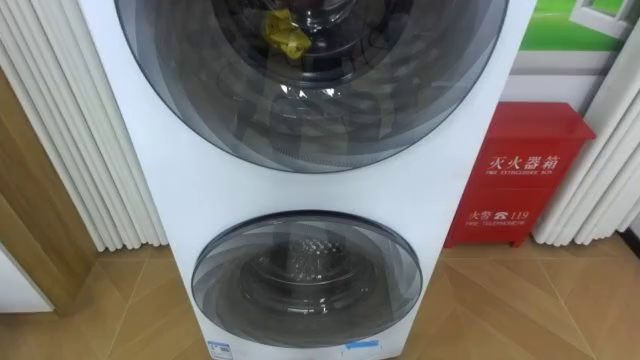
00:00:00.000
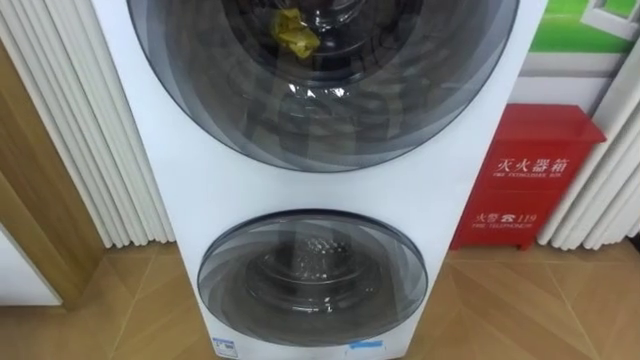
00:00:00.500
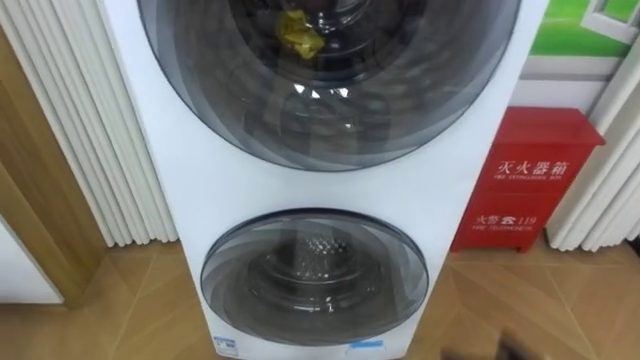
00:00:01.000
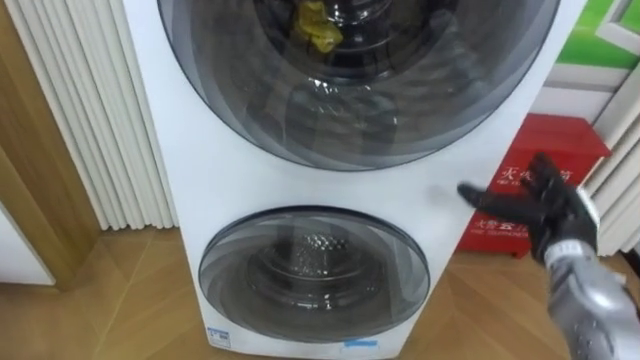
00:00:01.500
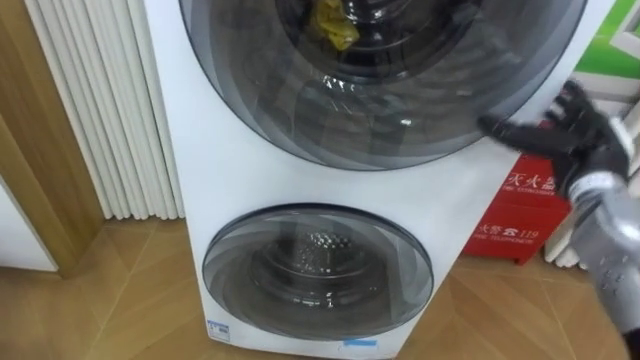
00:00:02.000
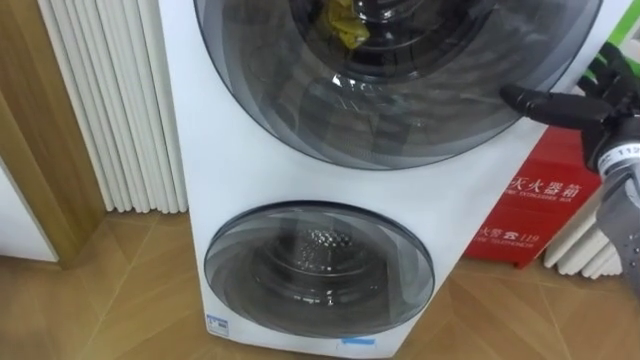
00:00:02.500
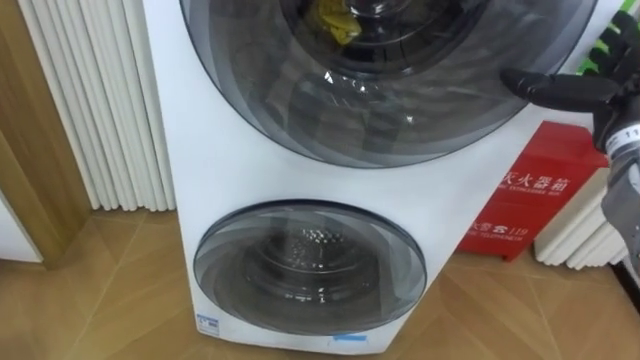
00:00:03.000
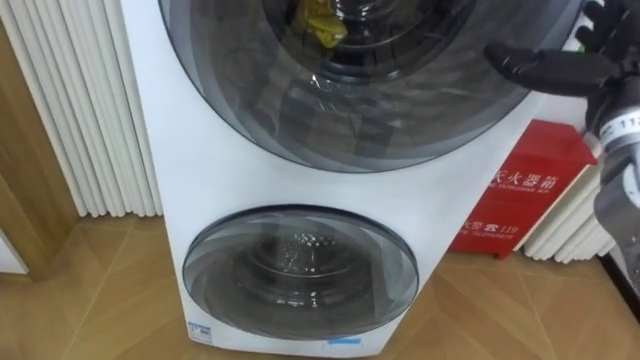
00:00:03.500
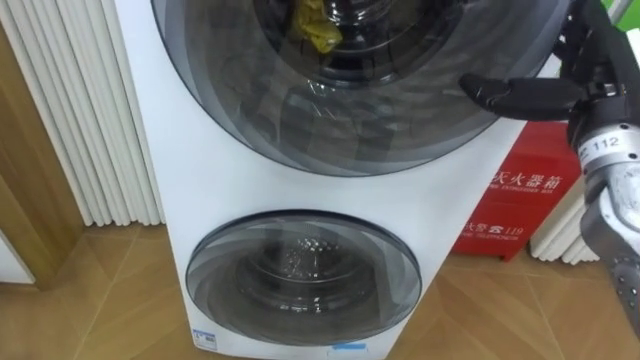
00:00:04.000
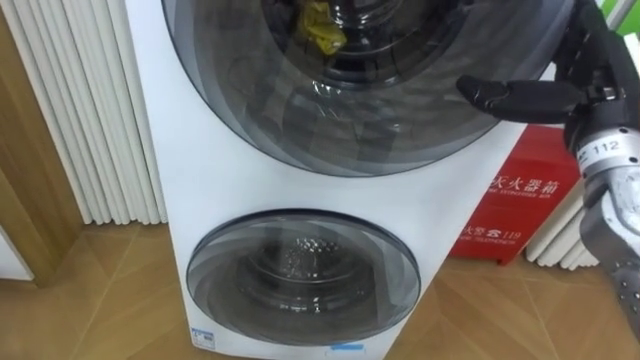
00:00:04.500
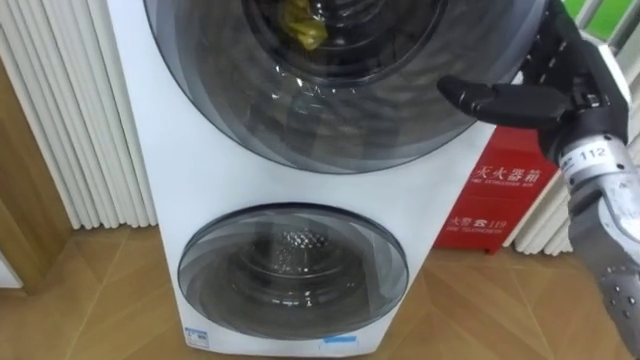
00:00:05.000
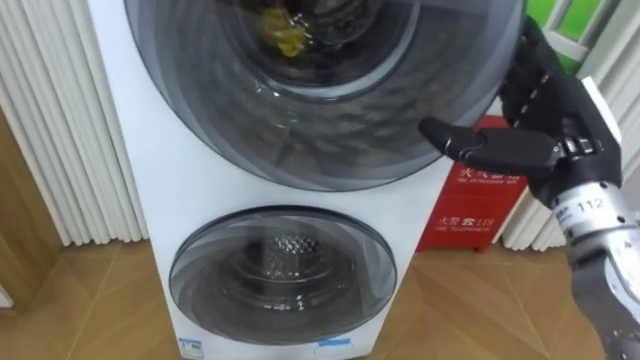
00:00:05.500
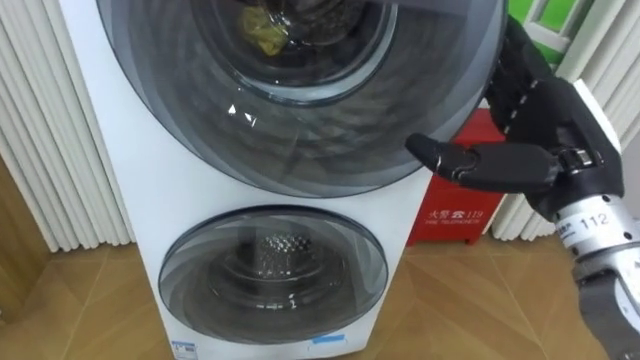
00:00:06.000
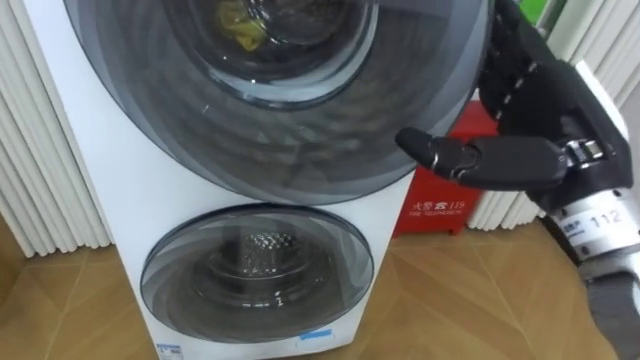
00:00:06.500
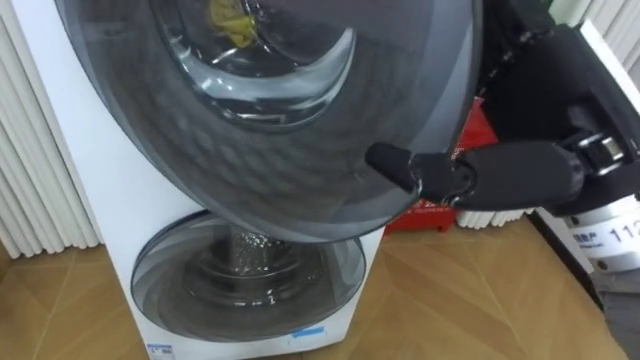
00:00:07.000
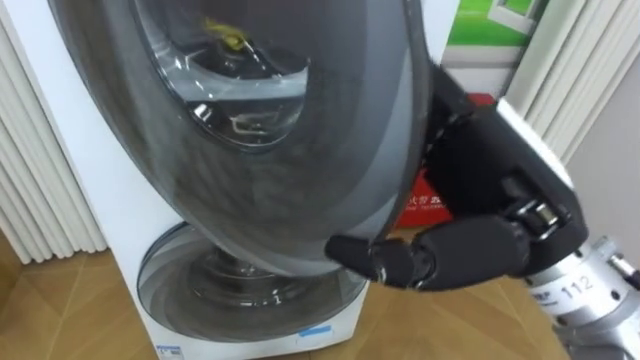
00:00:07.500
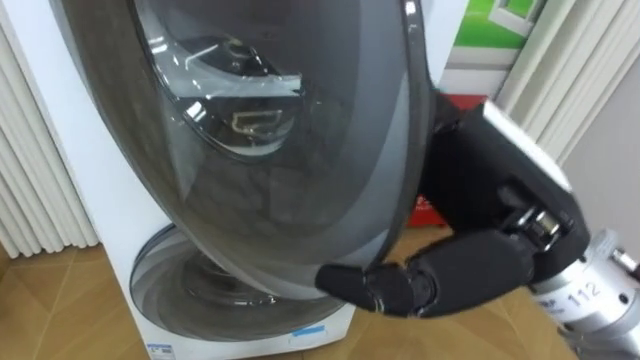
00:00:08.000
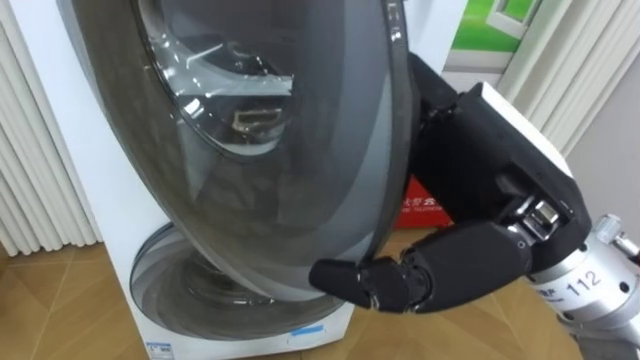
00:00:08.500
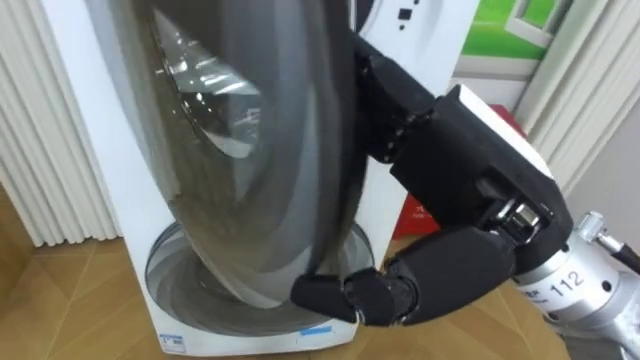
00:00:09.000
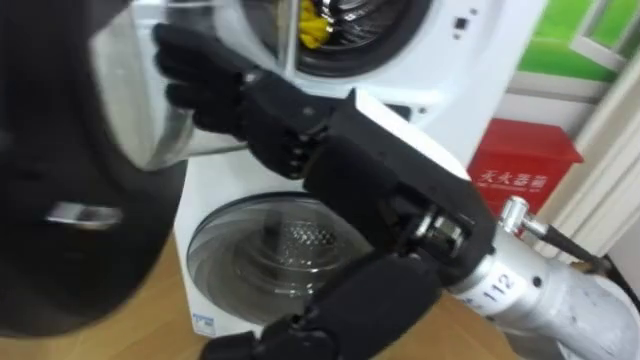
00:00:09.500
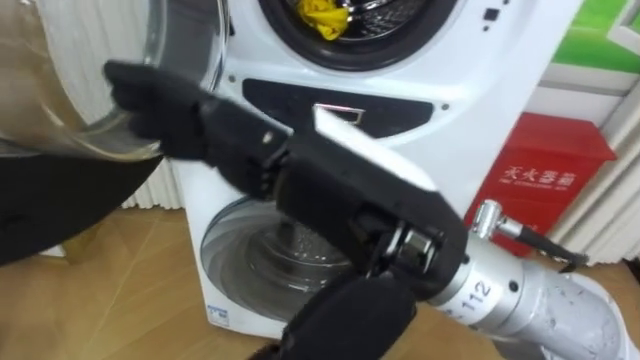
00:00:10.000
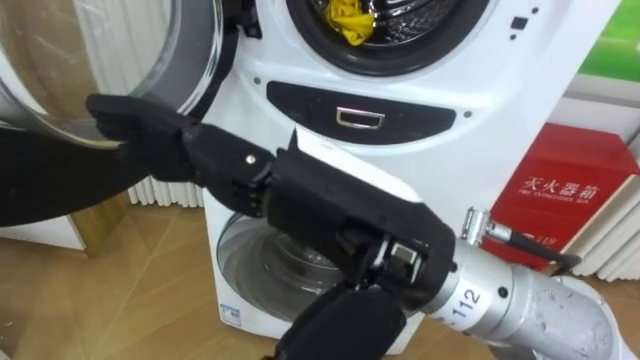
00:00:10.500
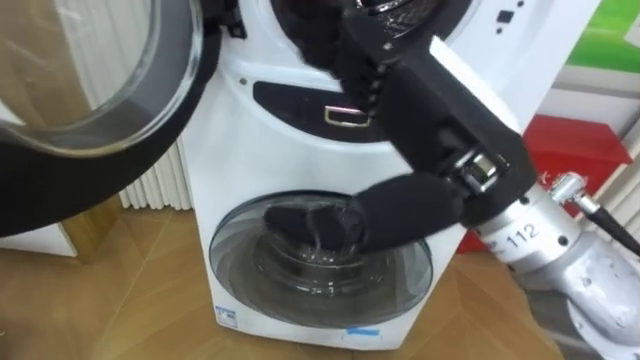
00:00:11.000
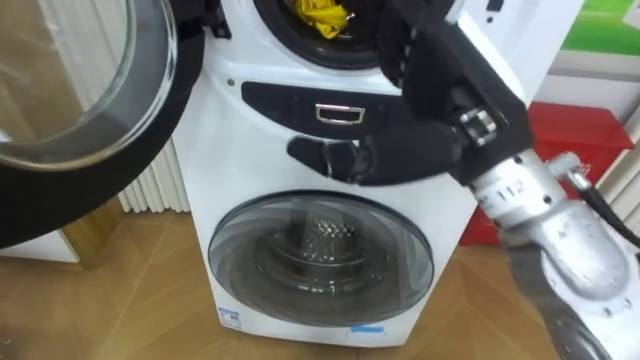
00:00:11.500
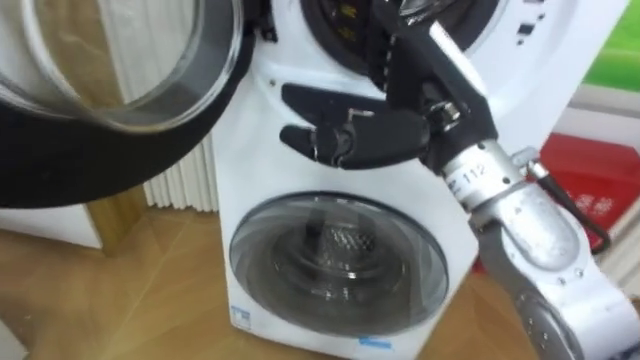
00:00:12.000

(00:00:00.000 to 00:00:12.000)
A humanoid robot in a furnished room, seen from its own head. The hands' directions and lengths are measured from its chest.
Task of the whole recording: Open the washing machine door, take out the yellow clothes, place them in the box on the right, and close the washing machine door.
00:00:02.000 - 00:00:04.000: The right hand is displaced upward by about 10 cm.
00:00:04.000 - 00:00:06.000: The right hand shifts approximately 10 cm backward and to the left.
00:00:06.000 - 00:00:08.000: The right hand heads to the left and backward, covering approximately 10 cm.
00:00:08.000 - 00:00:10.000: The right hand moves to the left, about 10 cm.
00:00:10.000 - 00:00:12.000: The right hand goes about 15 cm forward and to the right.

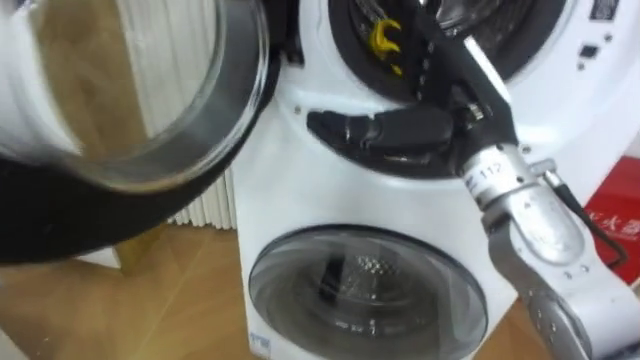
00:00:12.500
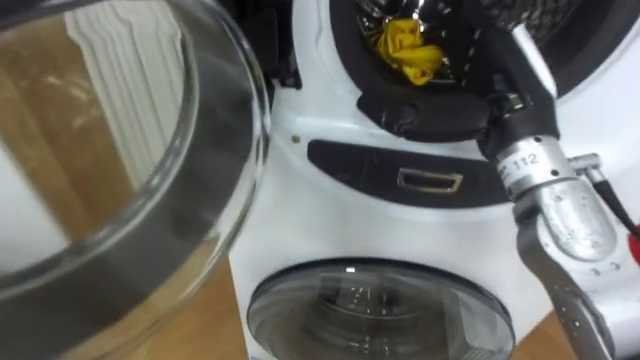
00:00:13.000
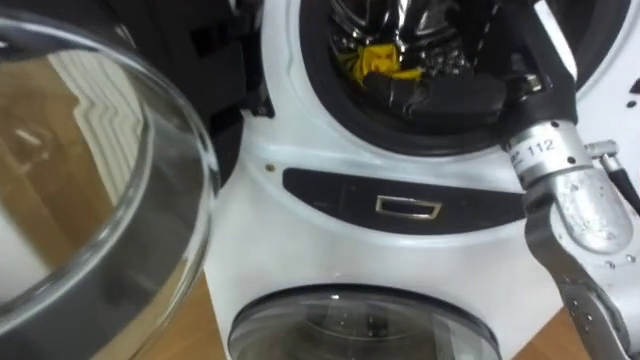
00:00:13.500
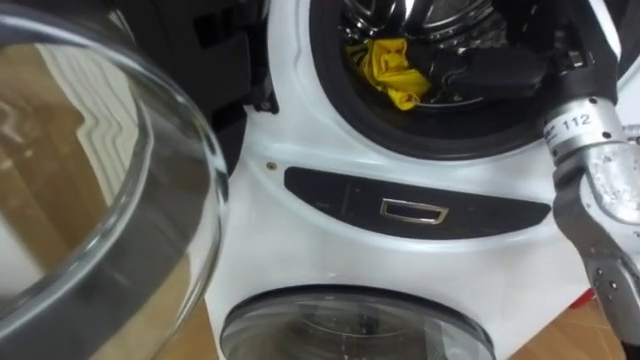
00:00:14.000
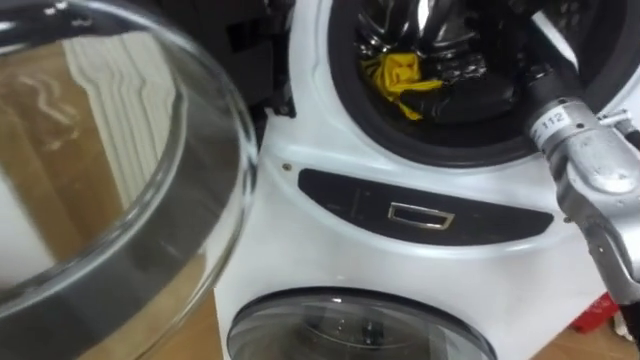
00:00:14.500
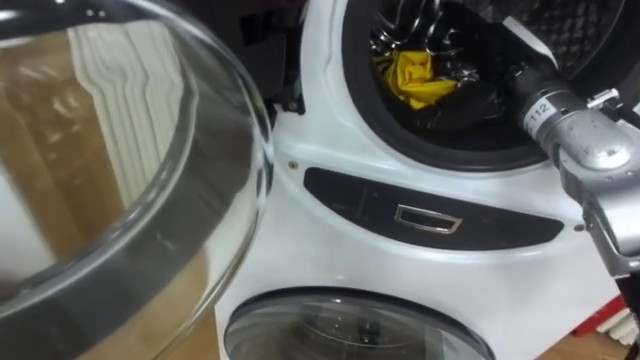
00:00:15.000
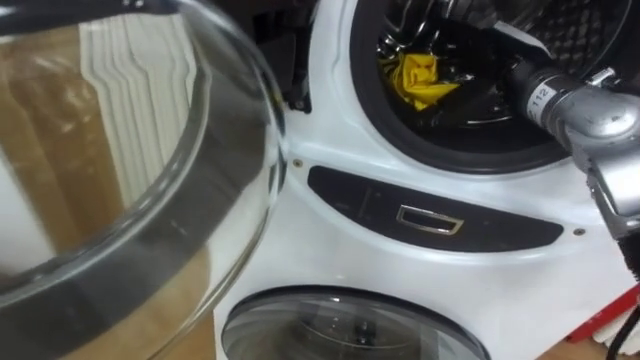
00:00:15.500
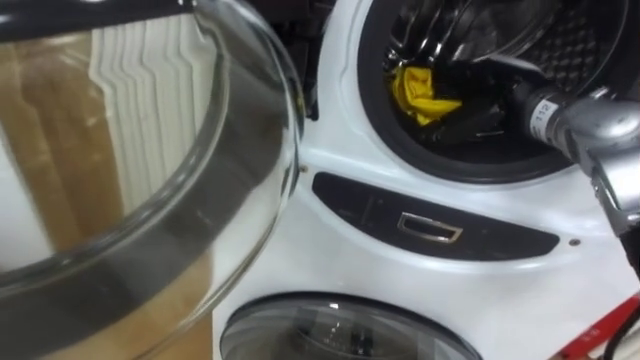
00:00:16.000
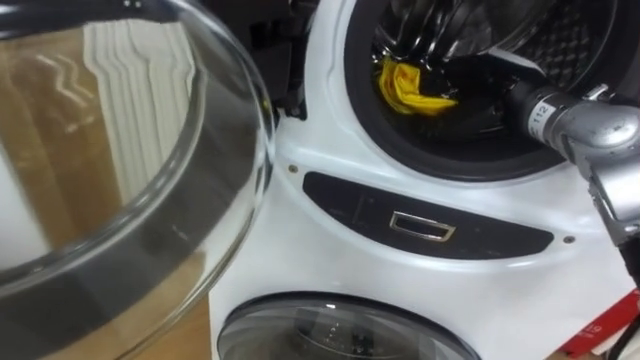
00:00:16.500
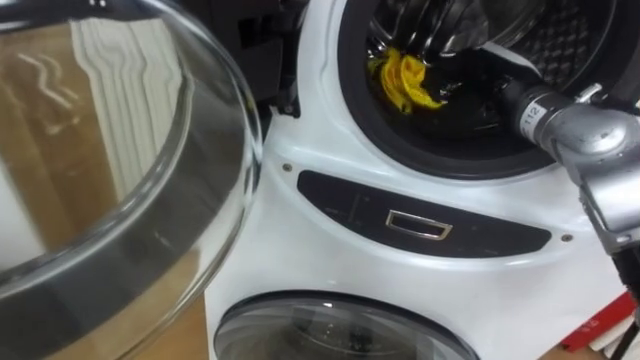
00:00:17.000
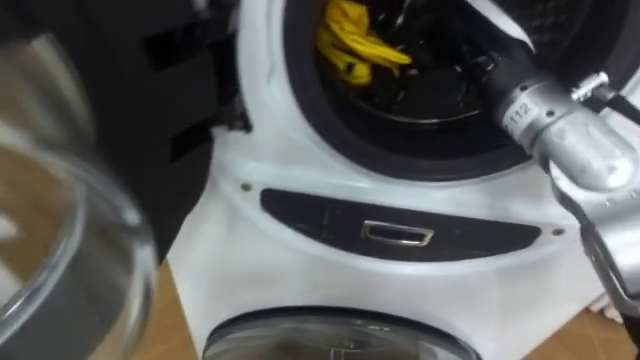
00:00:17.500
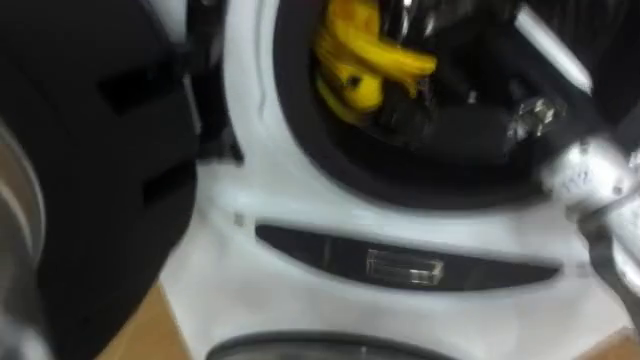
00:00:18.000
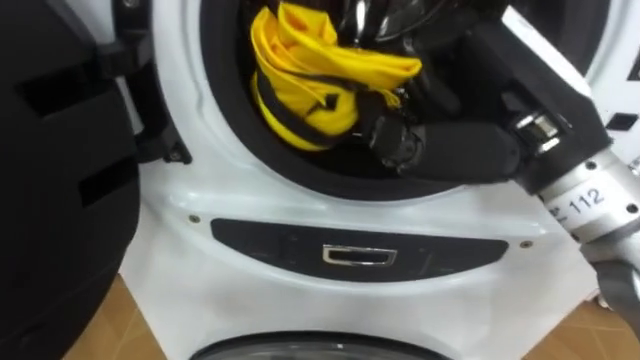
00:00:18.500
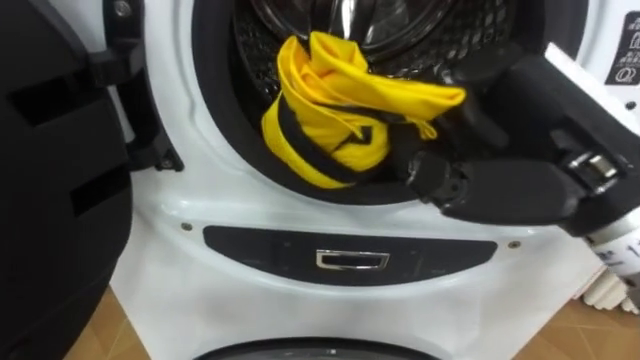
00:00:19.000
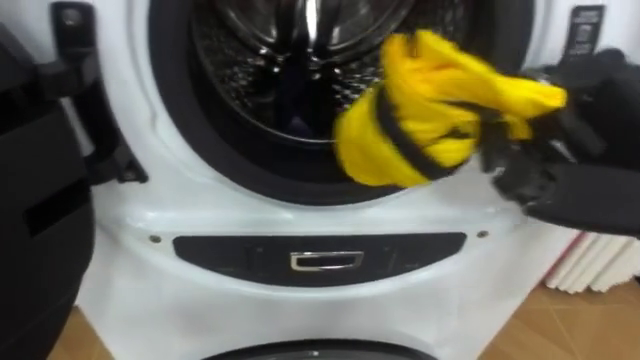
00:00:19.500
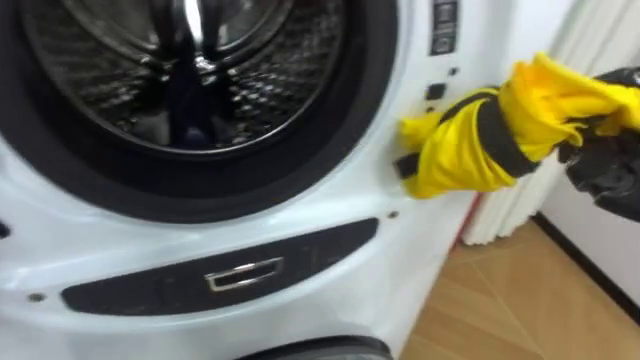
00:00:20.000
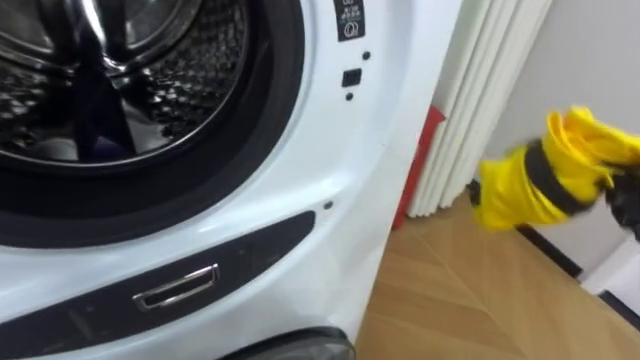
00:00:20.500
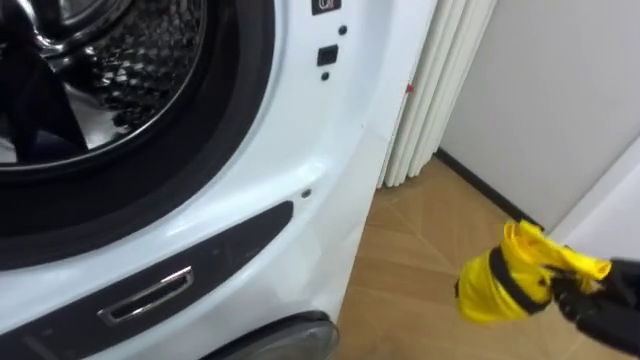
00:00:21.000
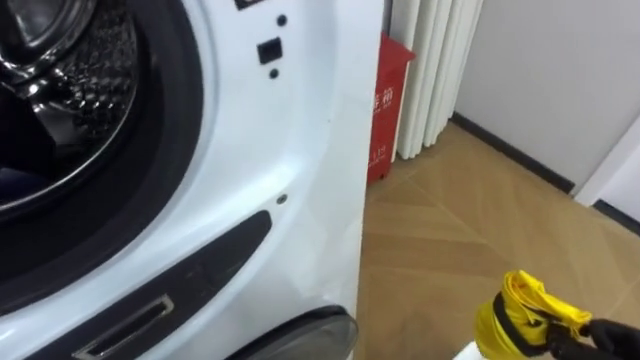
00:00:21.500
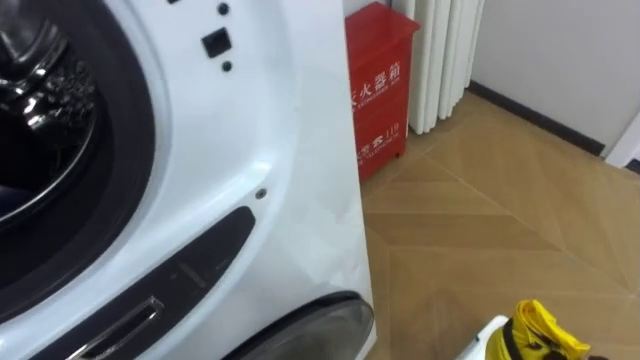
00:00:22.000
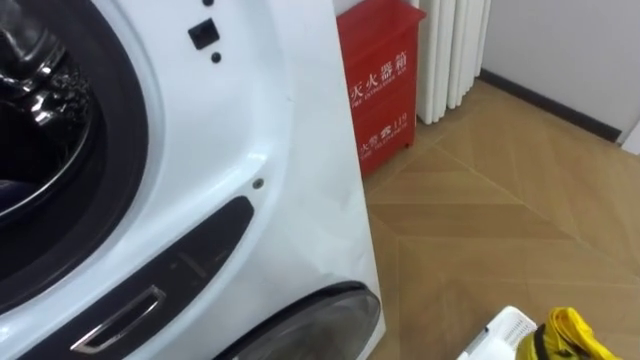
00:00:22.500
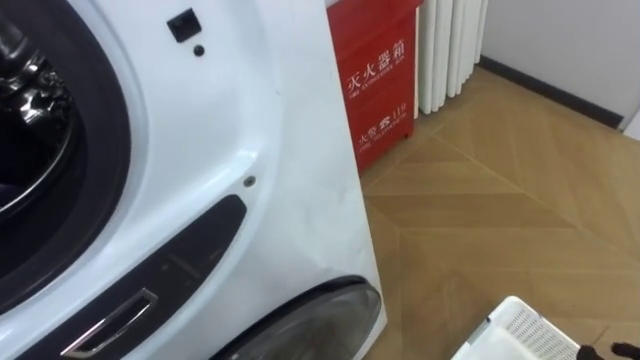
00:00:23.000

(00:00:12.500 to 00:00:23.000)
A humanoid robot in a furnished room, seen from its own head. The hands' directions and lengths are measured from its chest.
Task of the whole recording: Open the washing machine door, take out the yellow clothes, place them in the box on the right, and close the washing machine door.
00:00:12.500 - 00:00:14.500: The right hand goes approximately 10 cm to the right and forward.
00:00:14.500 - 00:00:16.500: The right hand shifts by some 5 cm, and closes its fingers.
00:00:16.500 - 00:00:19.000: The right hand moves backward and upward, about 20 cm.
00:00:19.000 - 00:00:21.000: The robot turns to its right by approximately 25 degrees.
